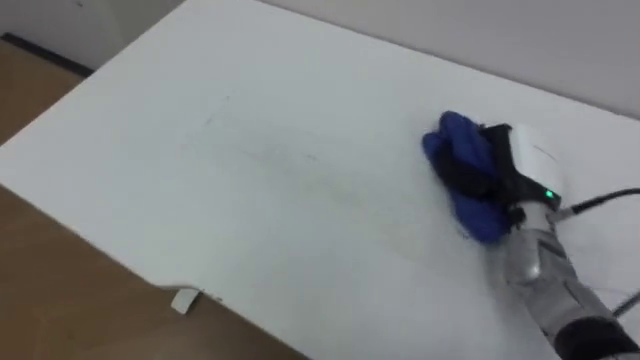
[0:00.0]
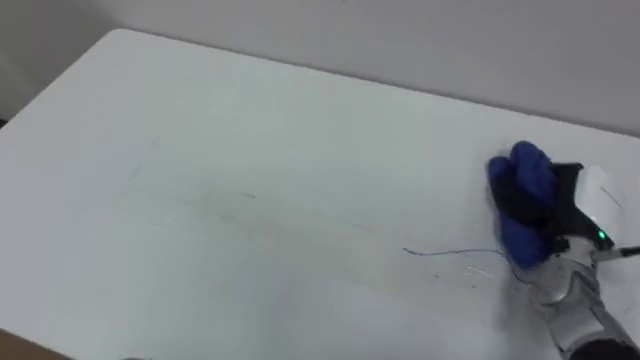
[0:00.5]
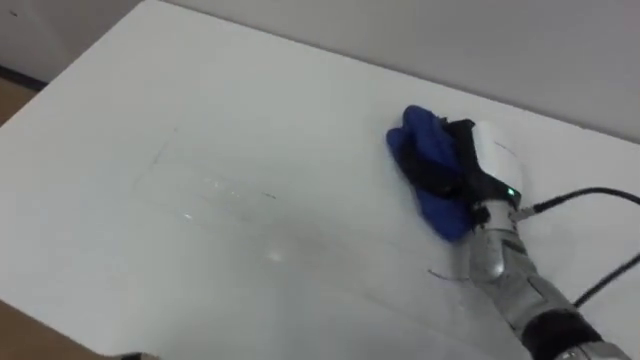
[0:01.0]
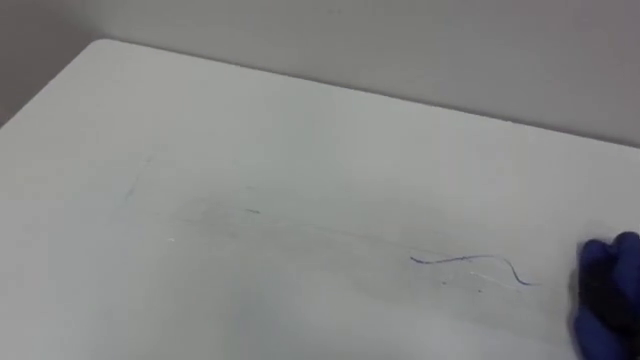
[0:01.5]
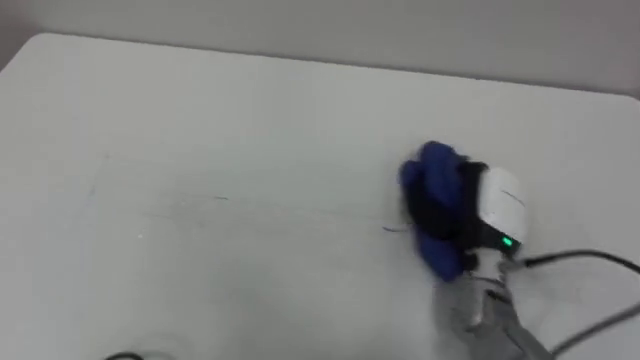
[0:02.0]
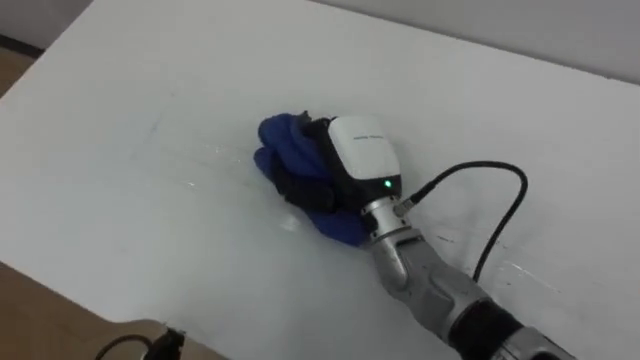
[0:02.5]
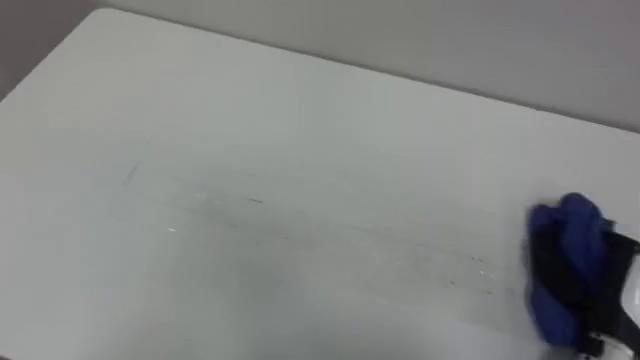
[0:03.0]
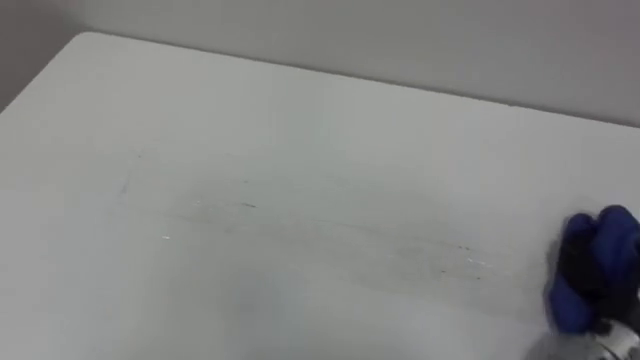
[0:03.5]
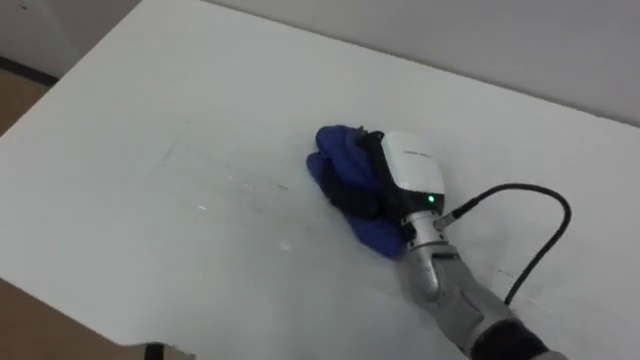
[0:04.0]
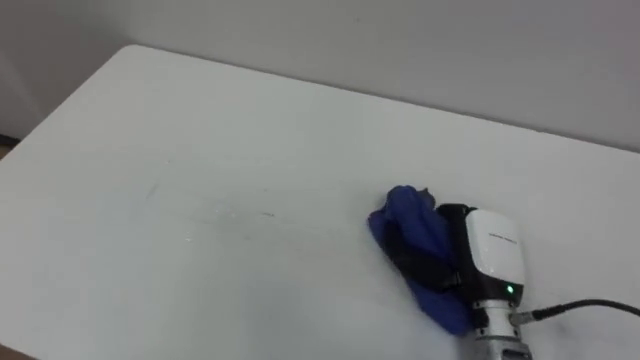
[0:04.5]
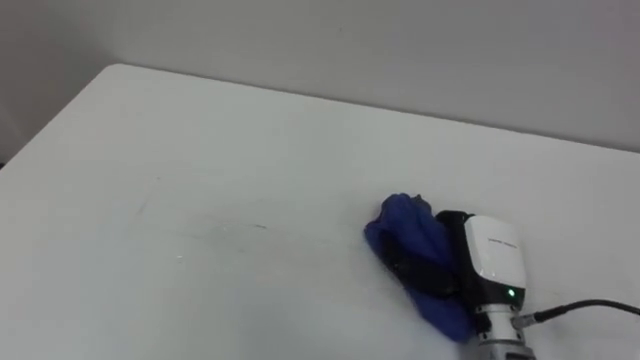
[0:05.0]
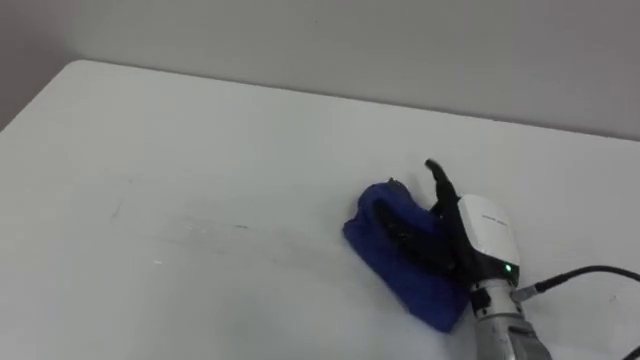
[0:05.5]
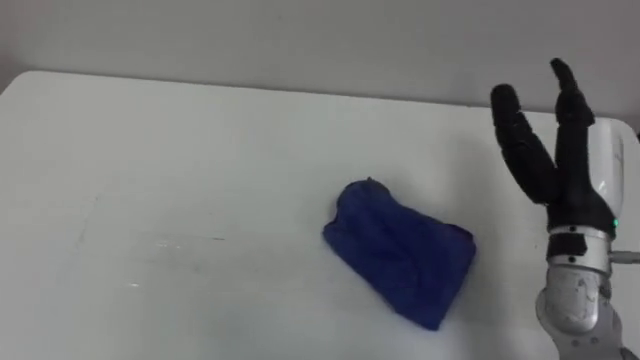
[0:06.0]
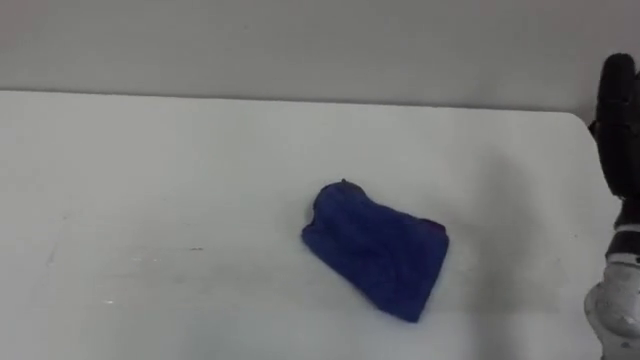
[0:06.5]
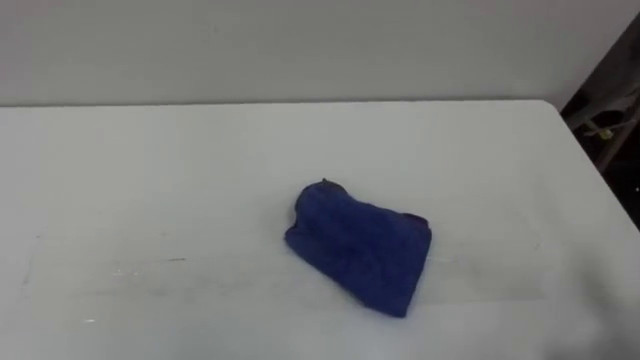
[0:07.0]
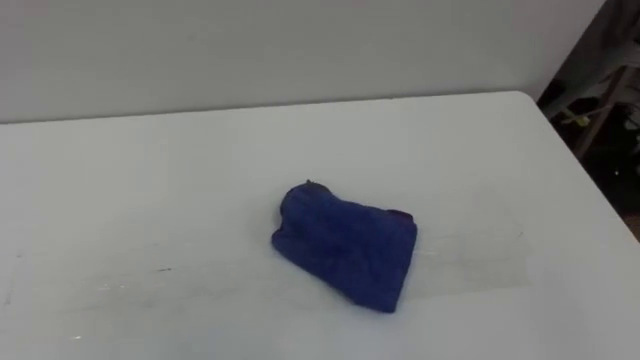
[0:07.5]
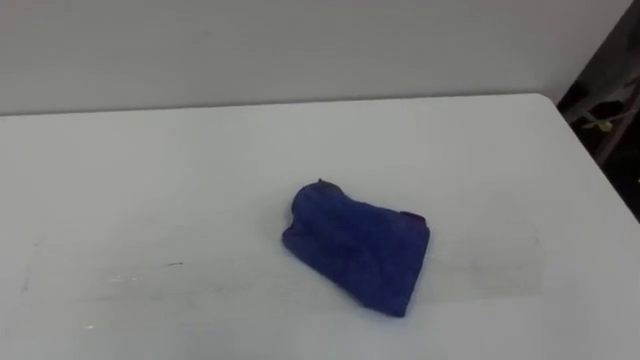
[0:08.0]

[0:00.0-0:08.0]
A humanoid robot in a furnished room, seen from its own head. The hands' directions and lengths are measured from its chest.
Task of the whole recording: Wipe the blue pen marks off the table with the rag.
0:00.0 to 0:02.0: The robot turns to its right by roughly 15 degrees.
0:04.0 to 0:06.0: The right hand is displaced to the right and upward by approximately 20 cm, and opens up.

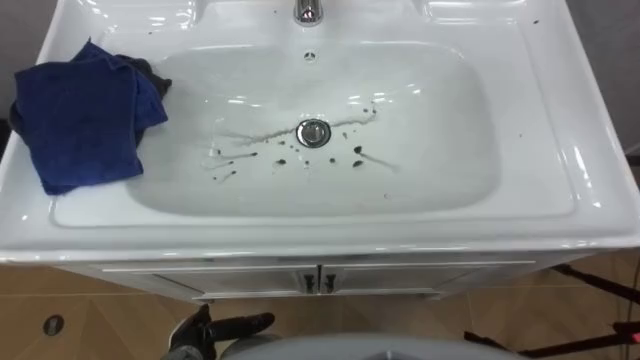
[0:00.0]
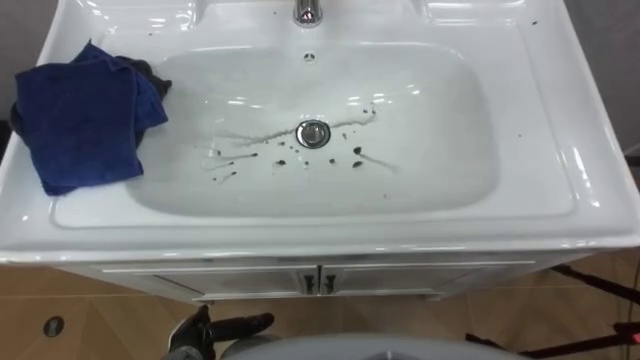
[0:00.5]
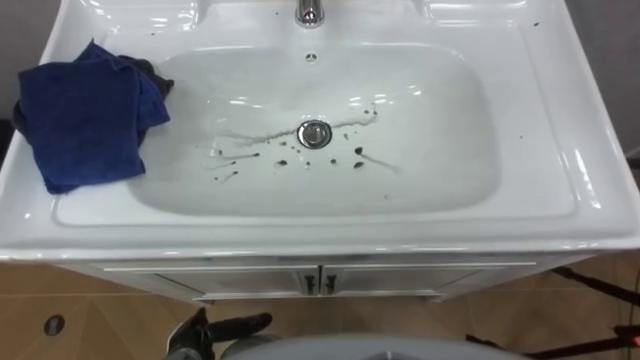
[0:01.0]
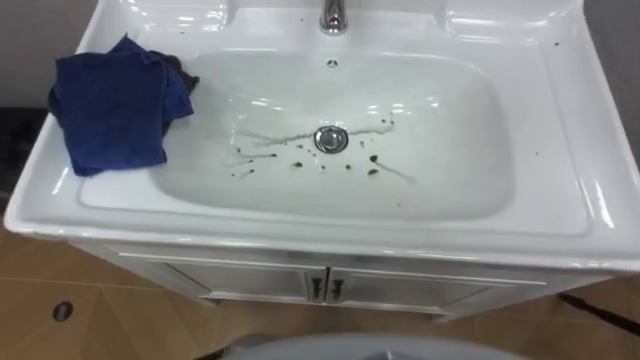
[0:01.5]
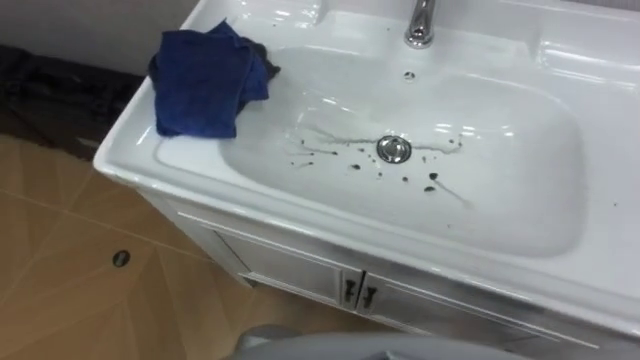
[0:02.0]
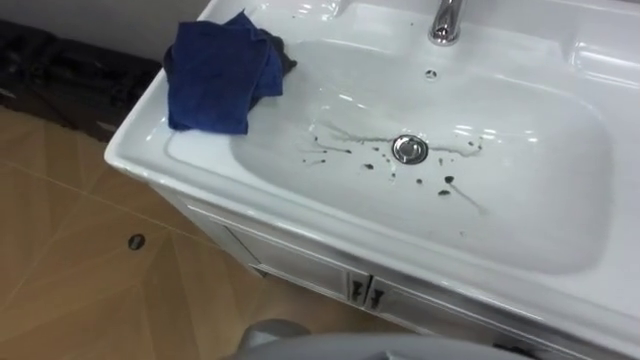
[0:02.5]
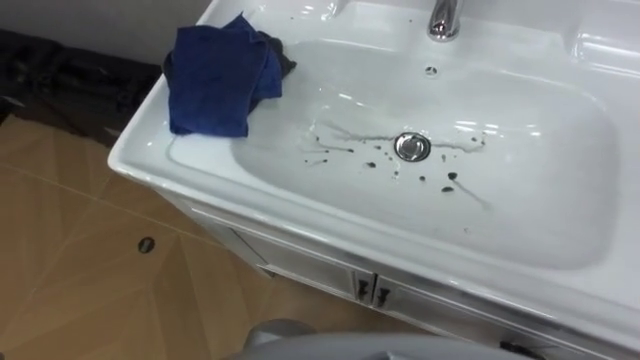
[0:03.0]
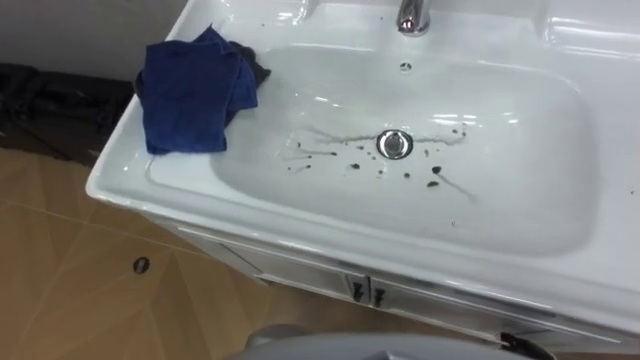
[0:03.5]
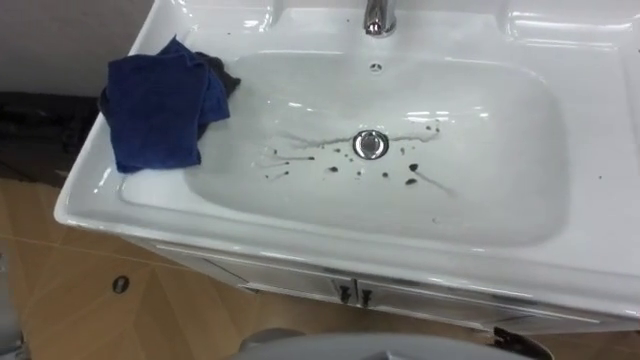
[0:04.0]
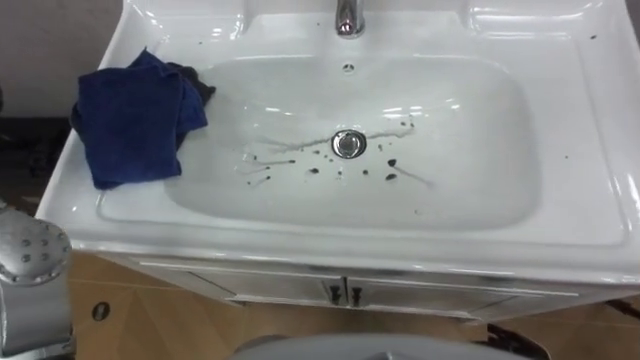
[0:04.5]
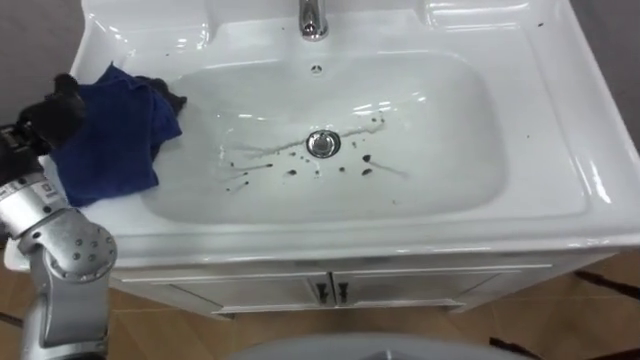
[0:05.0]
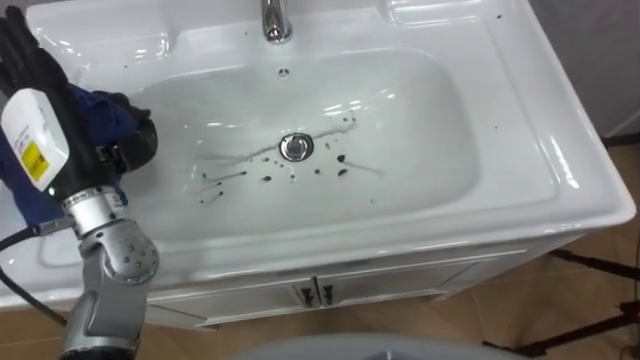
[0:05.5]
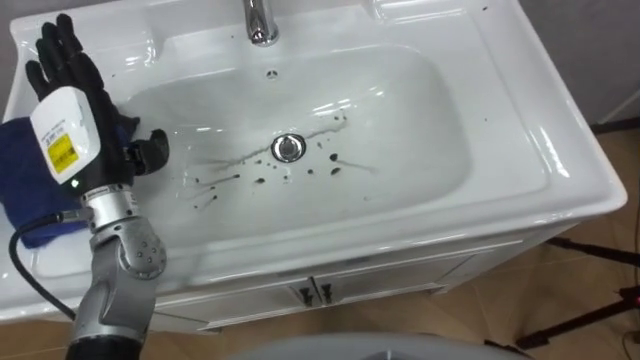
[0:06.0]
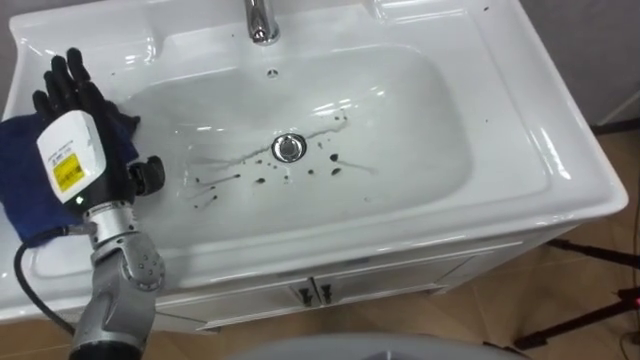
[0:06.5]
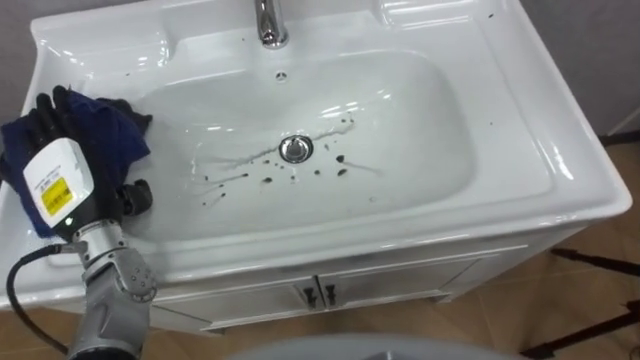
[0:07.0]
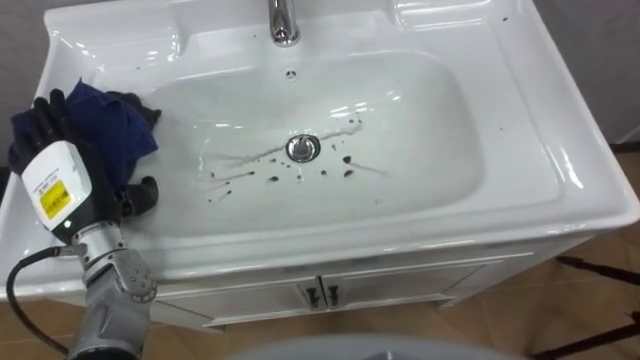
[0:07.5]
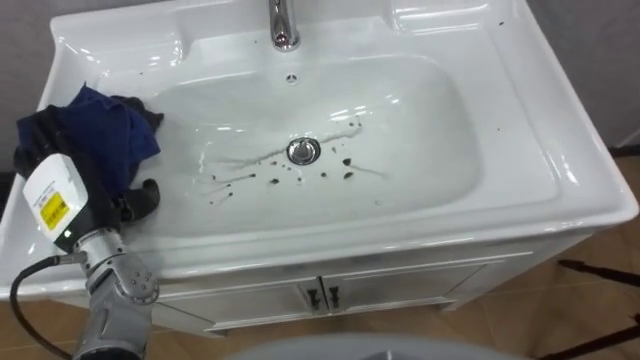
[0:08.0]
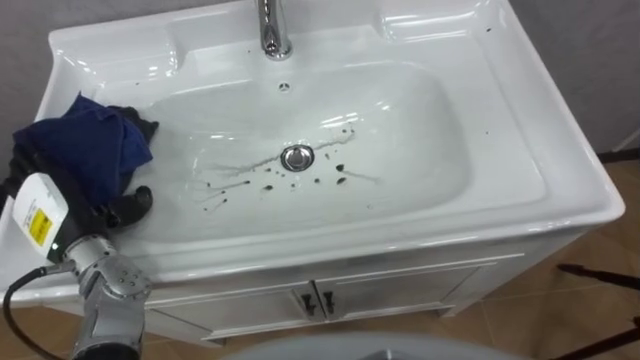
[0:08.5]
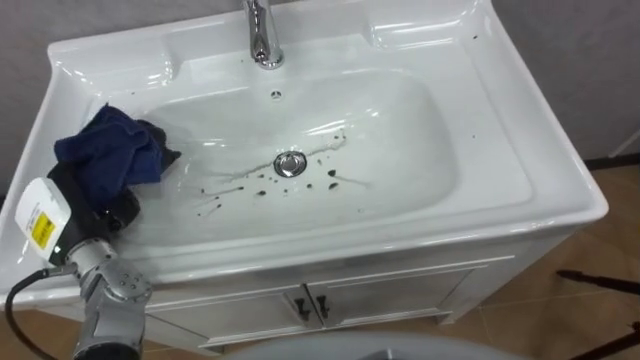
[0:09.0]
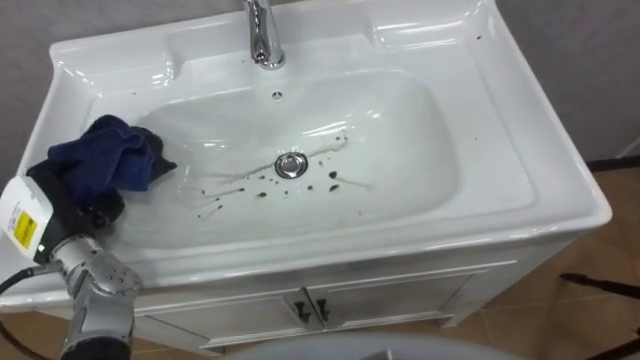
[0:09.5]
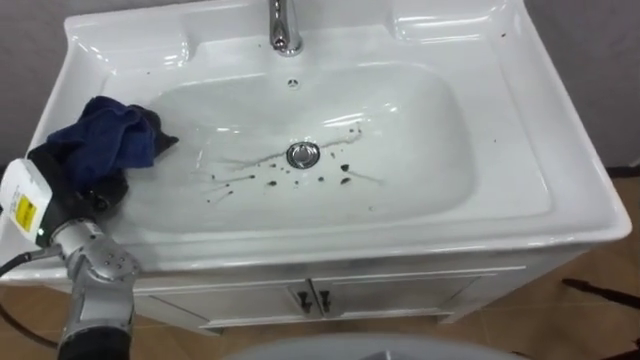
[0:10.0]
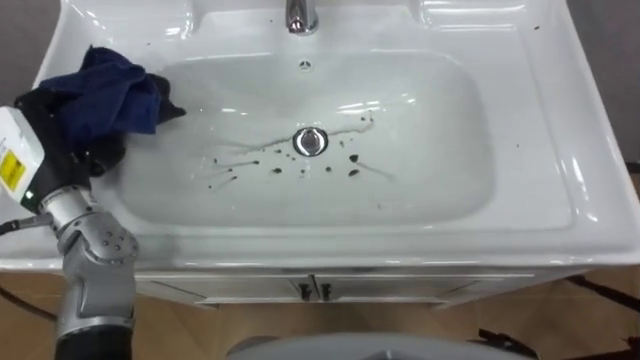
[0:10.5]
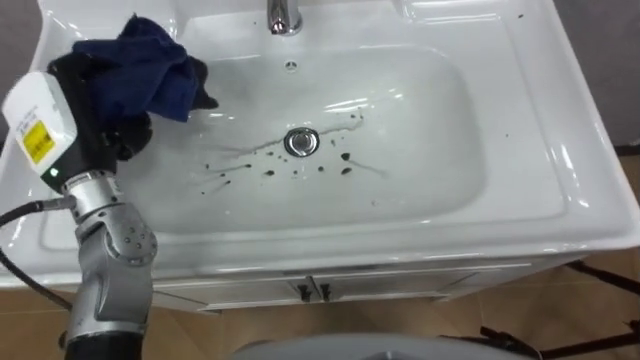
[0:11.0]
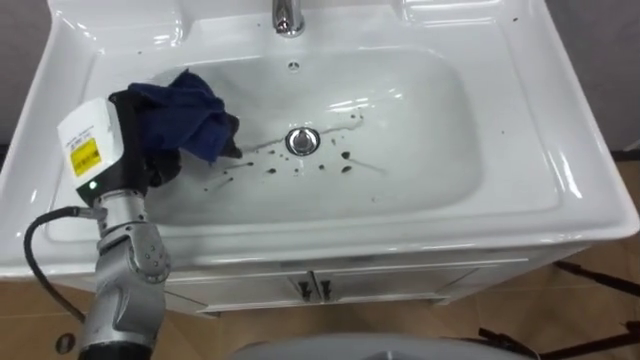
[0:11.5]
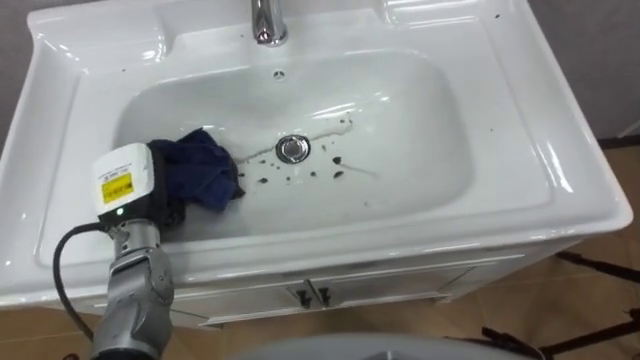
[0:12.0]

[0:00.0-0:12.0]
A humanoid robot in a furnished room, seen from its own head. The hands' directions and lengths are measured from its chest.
Task of the whole recording: Use the cloth on the right to wipe away the black stain in the sink.
0:06.0 to 0:08.0: The left hand goes some 10 cm downward.
0:08.0 to 0:10.0: The left hand closes.
0:10.0 to 0:12.0: The left hand shifts about 10 cm to the right, and moves about 10 cm upward and comes back.
